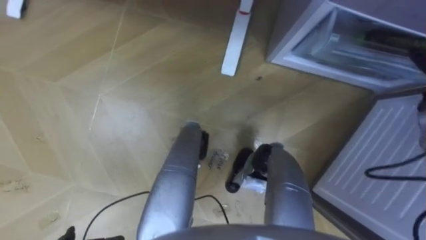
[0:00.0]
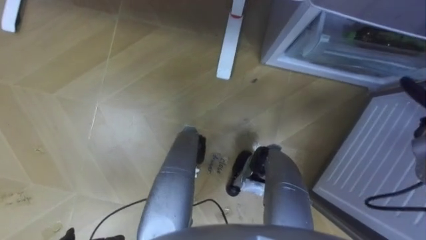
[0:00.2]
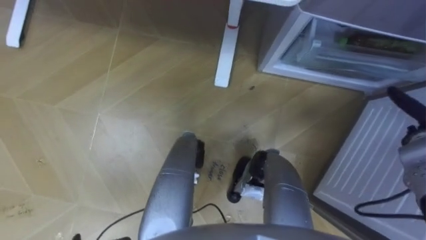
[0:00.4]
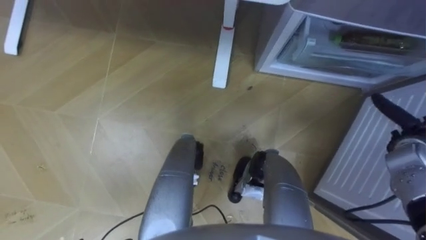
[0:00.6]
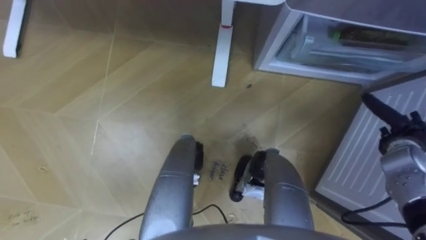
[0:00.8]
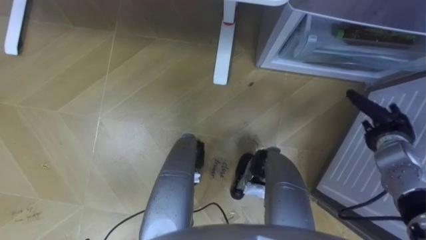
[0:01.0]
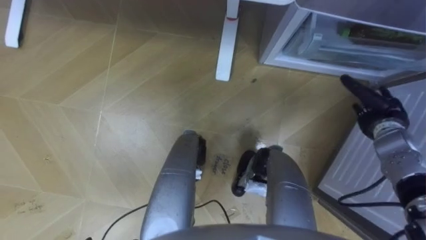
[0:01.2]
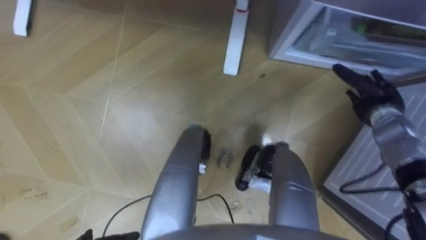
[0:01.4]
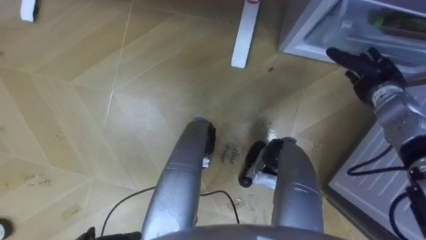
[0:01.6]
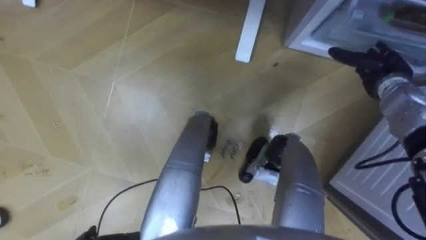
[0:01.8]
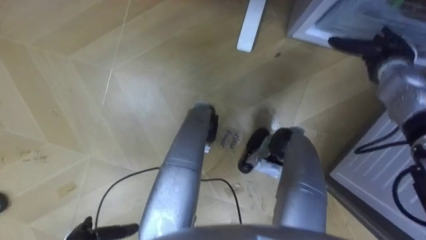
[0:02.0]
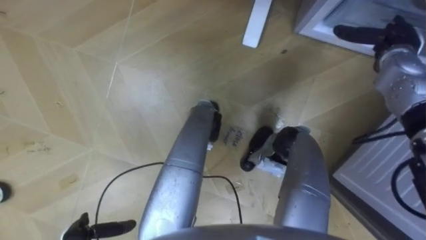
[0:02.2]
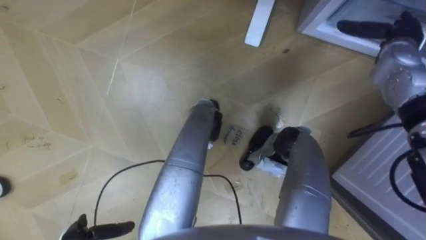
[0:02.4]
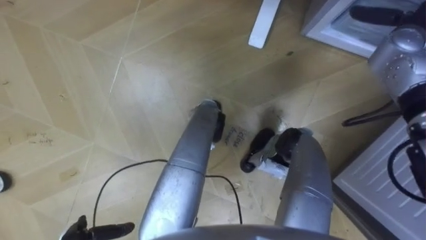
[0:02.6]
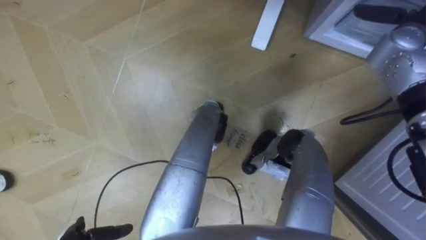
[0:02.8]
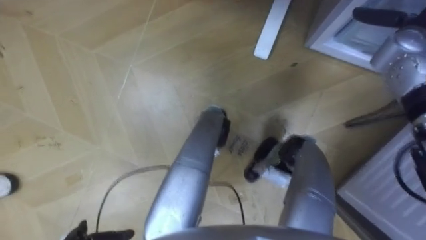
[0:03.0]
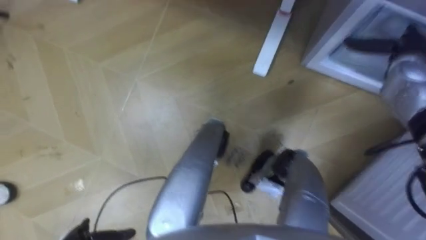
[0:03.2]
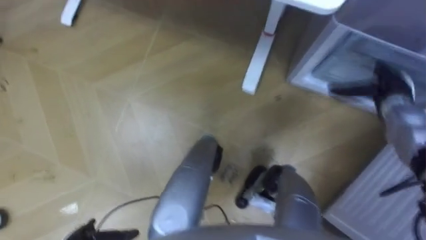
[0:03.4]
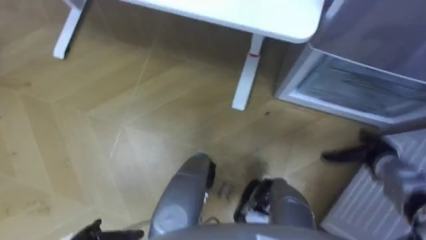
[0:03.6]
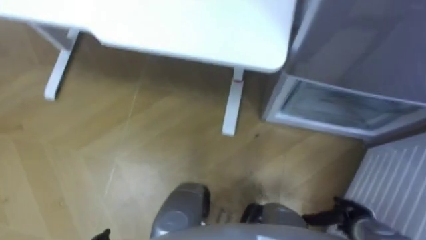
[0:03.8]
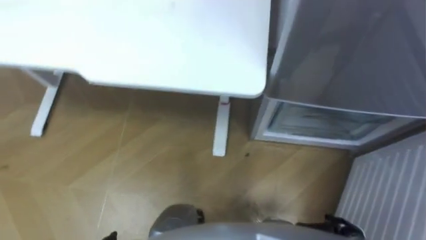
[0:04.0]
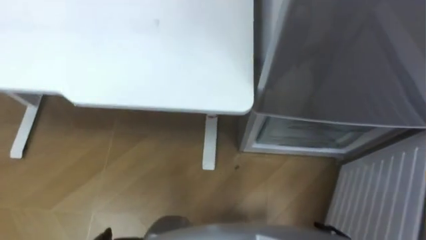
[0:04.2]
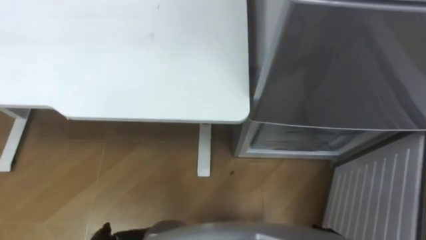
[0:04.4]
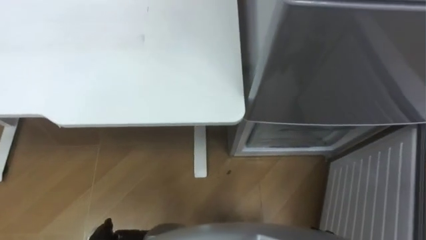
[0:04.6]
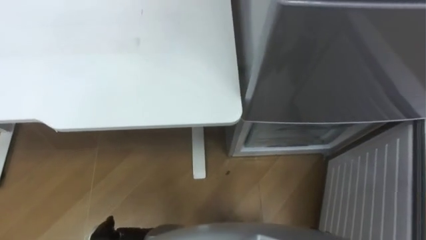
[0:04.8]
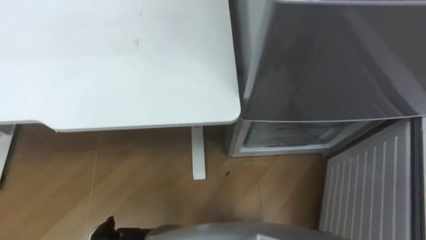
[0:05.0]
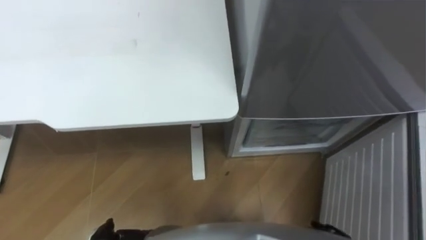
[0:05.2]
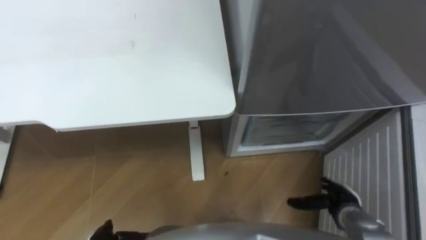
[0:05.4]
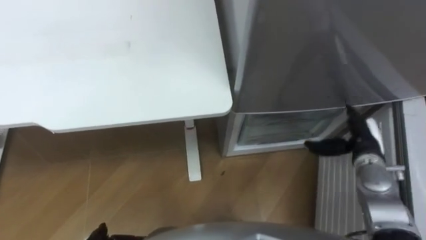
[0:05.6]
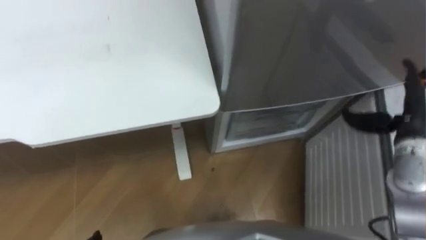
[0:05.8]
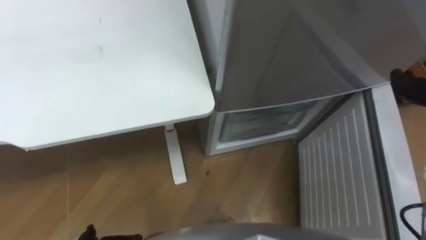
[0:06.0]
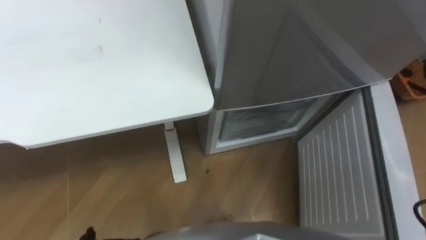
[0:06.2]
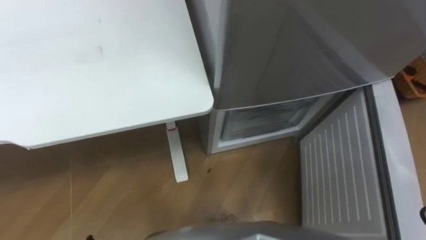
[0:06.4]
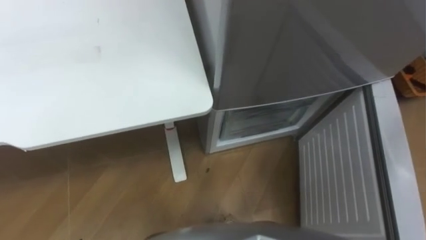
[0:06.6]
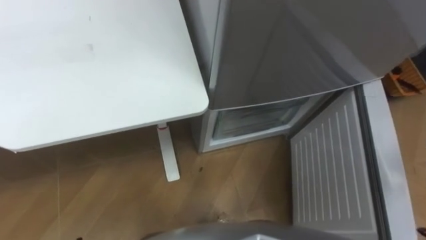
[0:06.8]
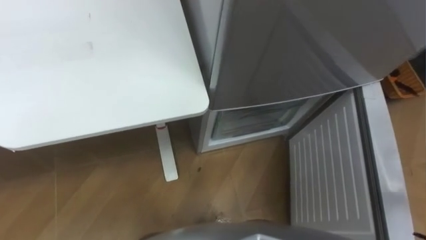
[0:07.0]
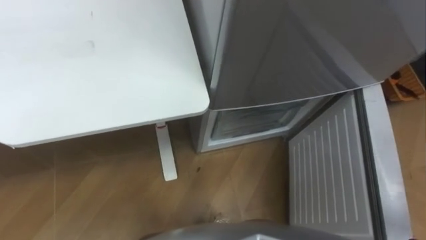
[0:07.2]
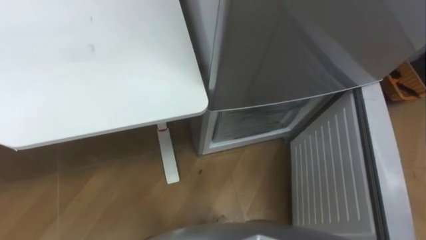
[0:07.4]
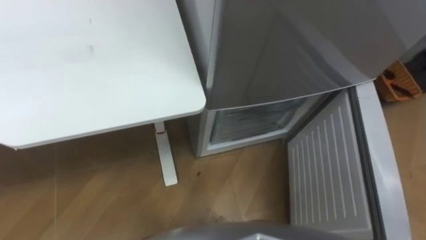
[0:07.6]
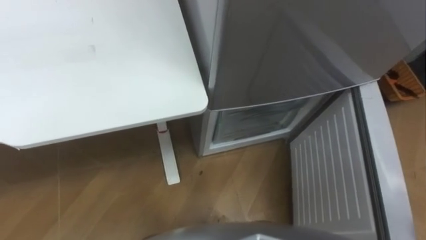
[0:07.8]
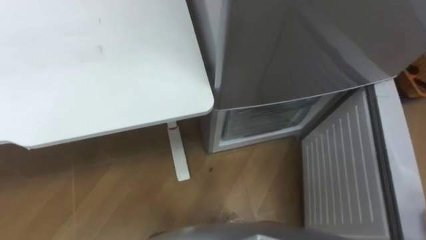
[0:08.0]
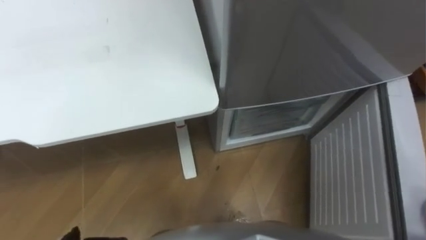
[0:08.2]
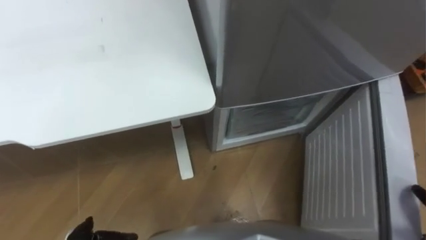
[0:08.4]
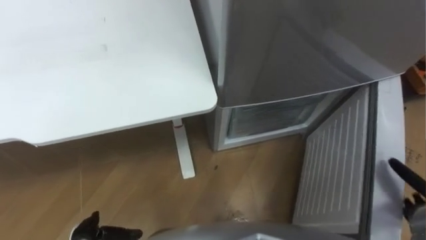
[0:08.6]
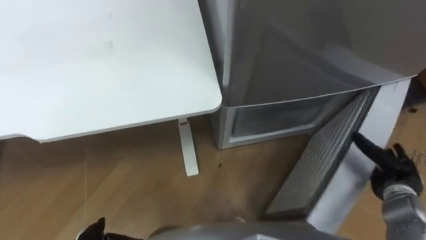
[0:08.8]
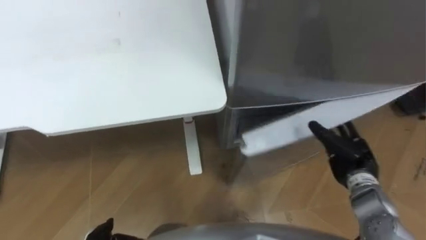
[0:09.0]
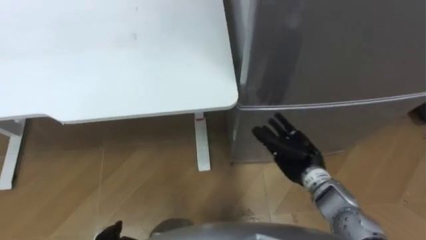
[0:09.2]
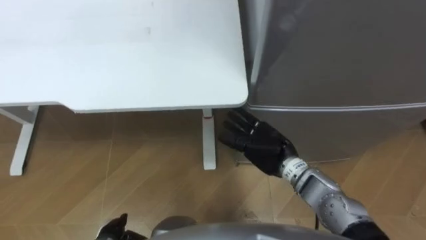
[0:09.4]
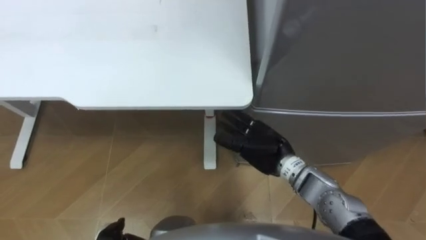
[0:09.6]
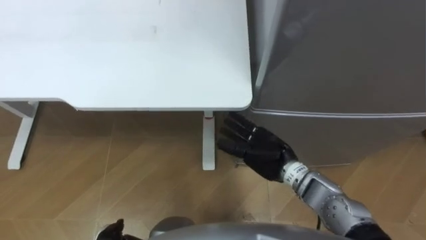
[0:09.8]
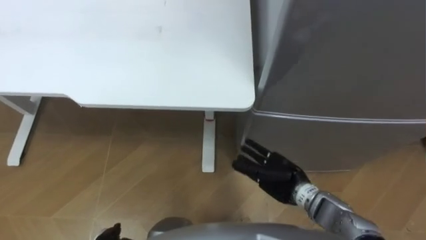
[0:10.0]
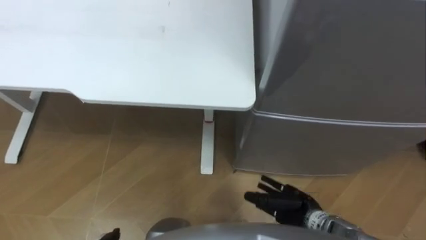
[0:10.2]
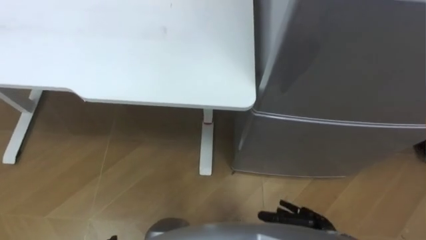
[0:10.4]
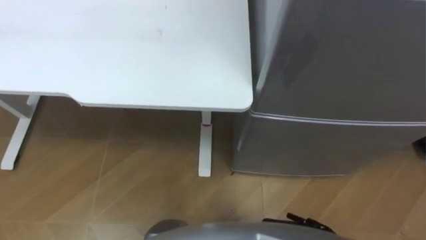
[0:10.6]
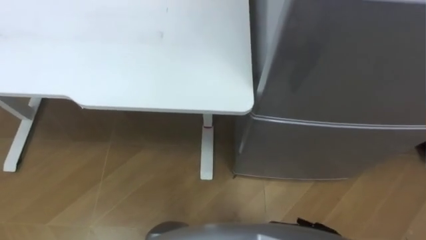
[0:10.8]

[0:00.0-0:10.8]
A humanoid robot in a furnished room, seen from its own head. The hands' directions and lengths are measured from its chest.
Task of the whole recording: Place the drink on the table on the bottom shelf of the refrigerator, then close the drawer and the refrigerator door.
0:01.6 to 0:03.0: The right hand travels upward and forward by approximately 10 cm.

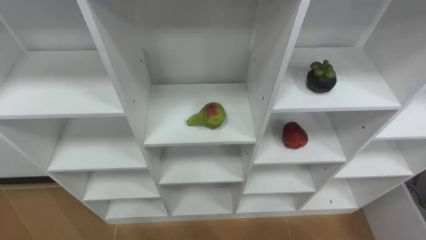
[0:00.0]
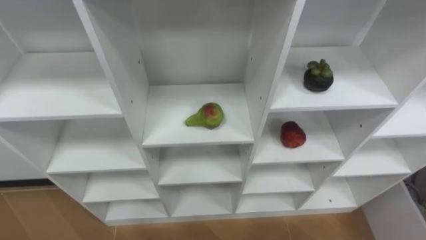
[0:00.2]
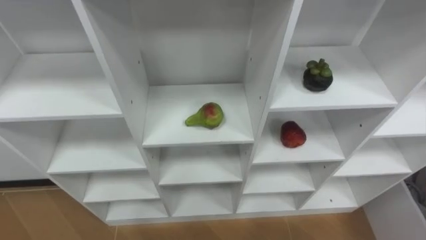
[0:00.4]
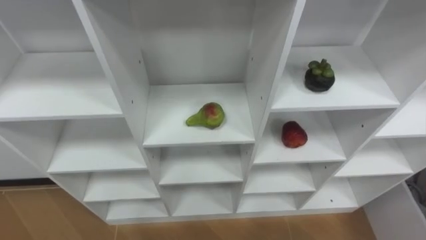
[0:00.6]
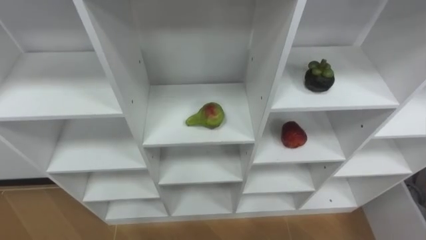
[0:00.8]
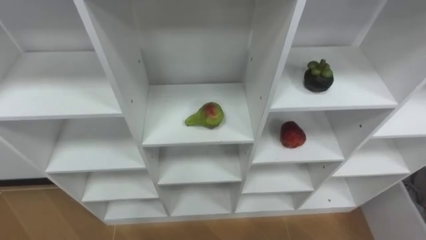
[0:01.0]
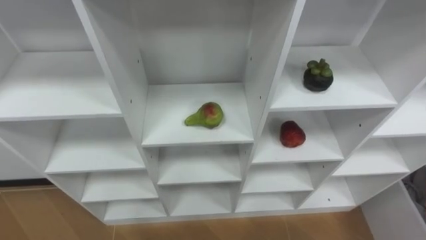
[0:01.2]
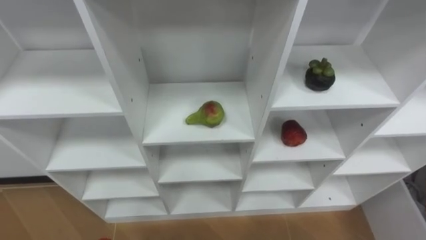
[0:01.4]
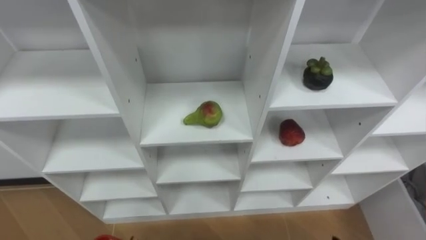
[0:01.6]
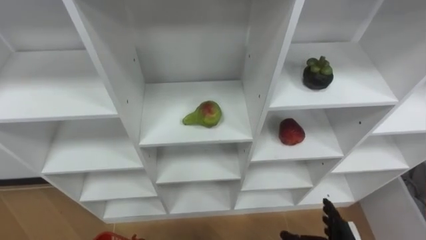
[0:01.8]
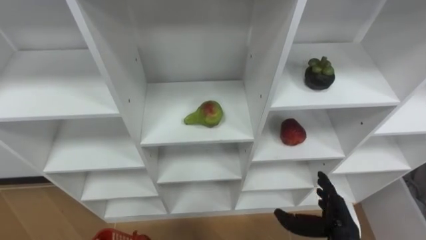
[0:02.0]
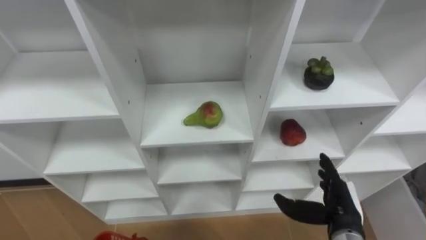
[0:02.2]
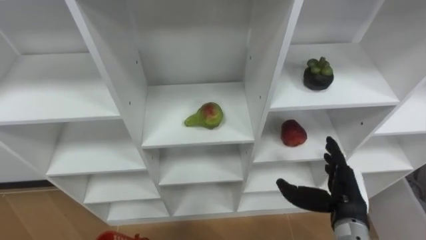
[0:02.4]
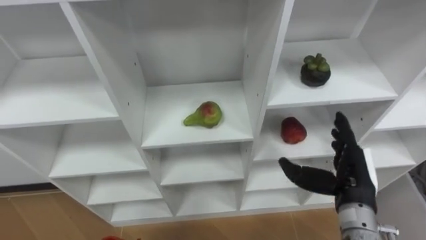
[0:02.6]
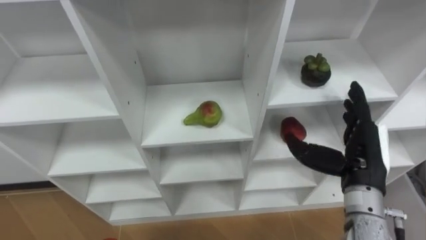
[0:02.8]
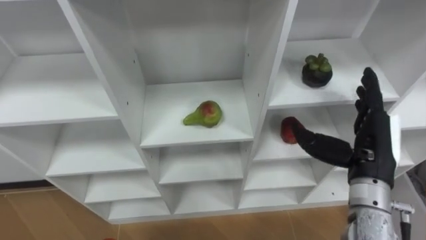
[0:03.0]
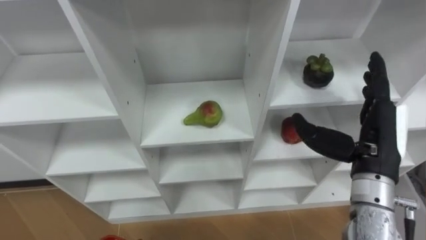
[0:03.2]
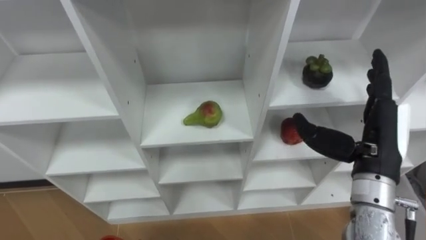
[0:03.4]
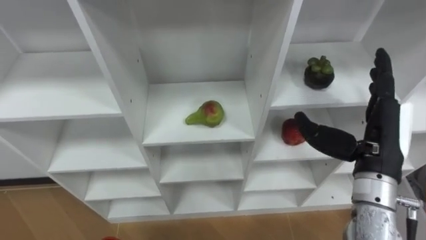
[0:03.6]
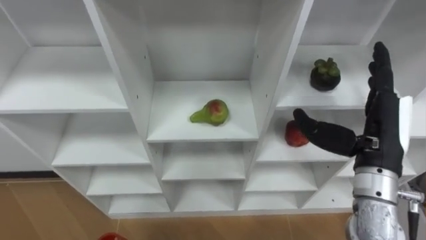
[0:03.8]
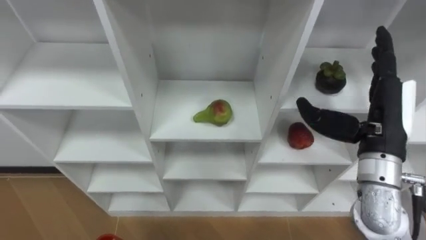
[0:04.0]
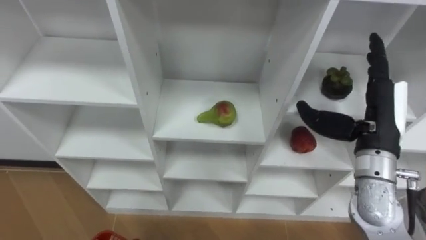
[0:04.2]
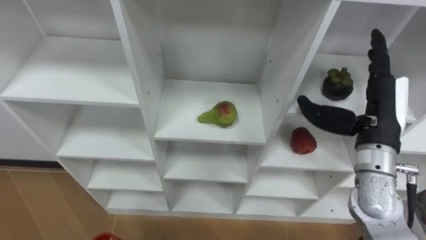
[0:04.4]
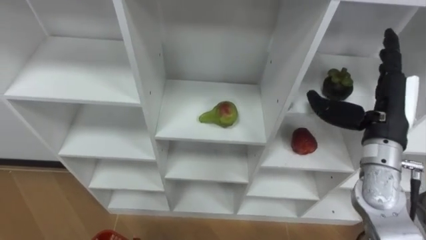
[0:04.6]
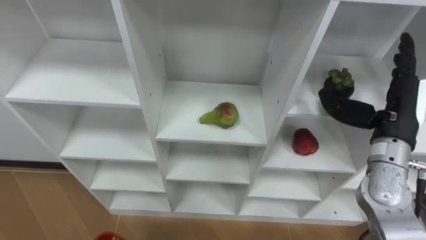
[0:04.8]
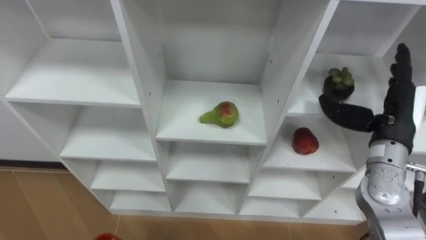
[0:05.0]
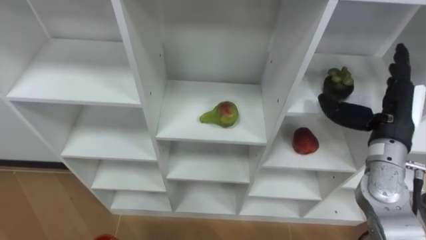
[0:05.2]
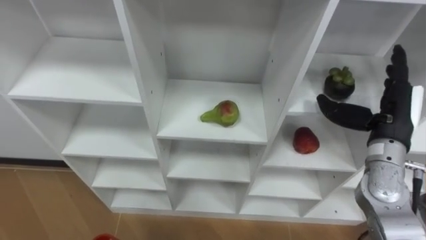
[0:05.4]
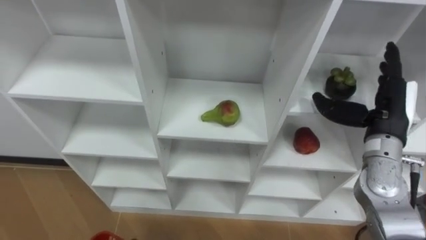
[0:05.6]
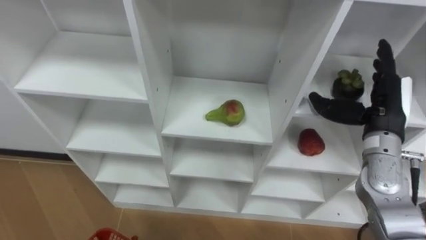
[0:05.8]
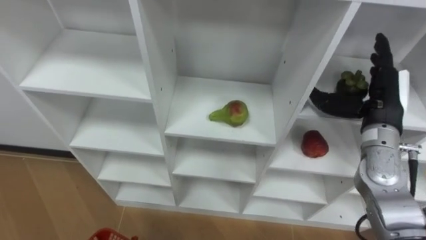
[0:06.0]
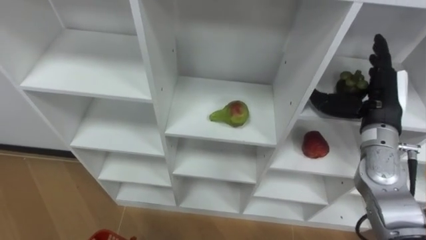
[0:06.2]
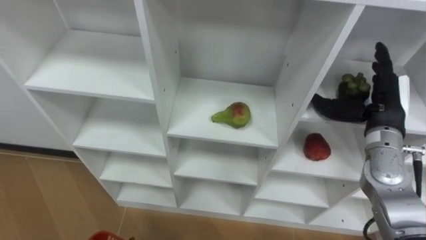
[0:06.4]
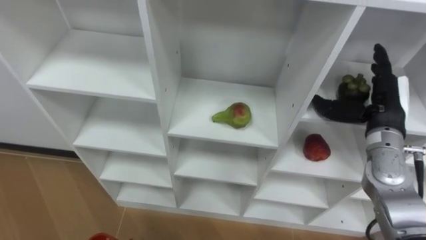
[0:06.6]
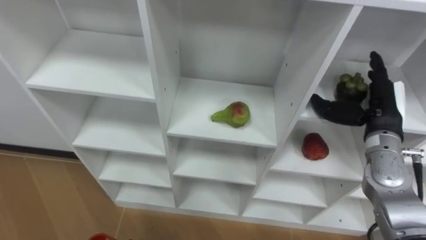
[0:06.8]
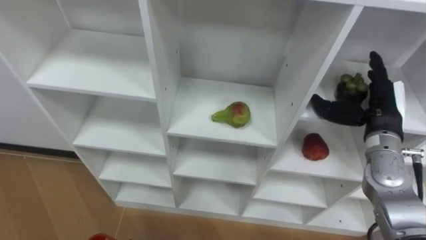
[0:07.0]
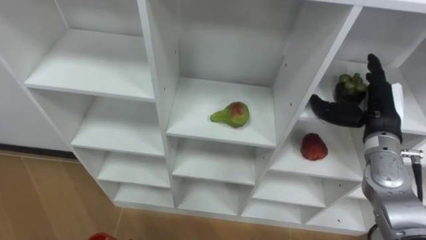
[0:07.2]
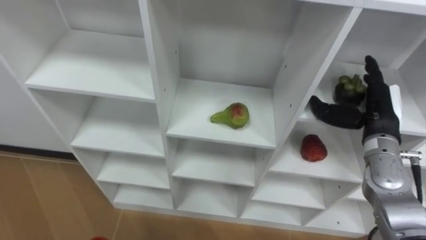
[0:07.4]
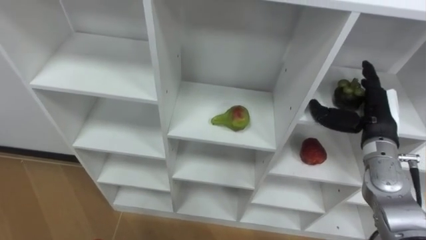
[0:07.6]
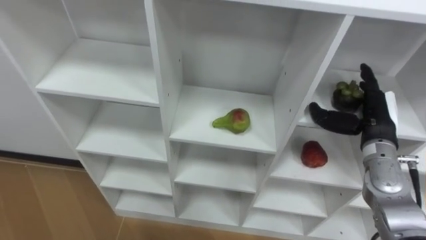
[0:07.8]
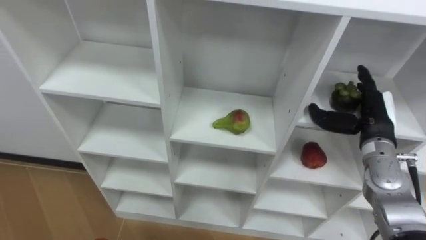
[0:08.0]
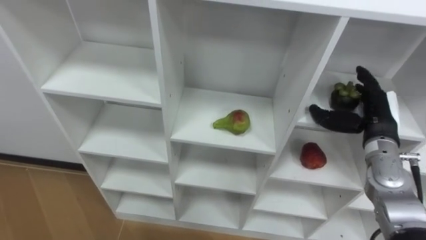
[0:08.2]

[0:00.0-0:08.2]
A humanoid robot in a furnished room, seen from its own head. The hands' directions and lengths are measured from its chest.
Task of the whole recording: Hold the basket and collect the fruits from 3 different cells of the closet into it.
0:03.2 to 0:05.0: The right hand travels forward and to the right by some 10 cm.
0:06.6 to 0:08.2: The right hand moves downward, some 5 cm.
